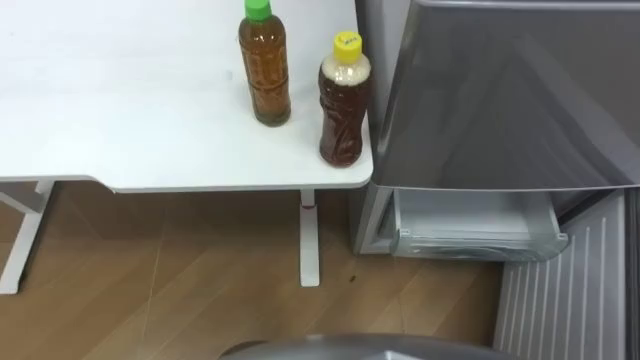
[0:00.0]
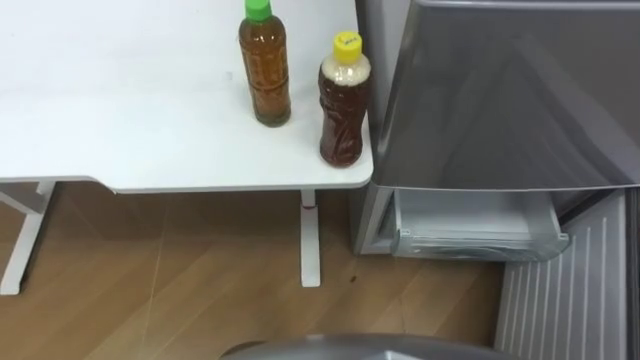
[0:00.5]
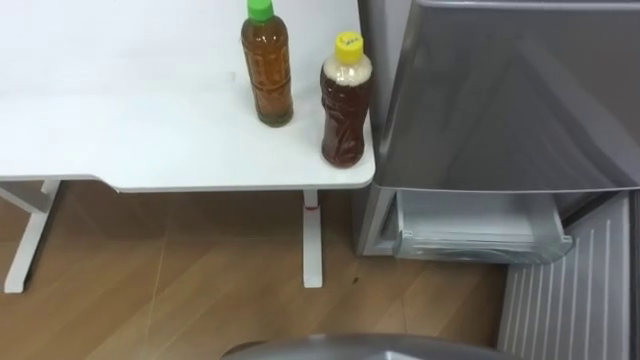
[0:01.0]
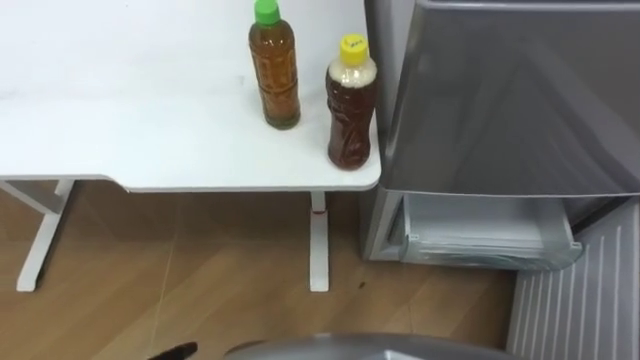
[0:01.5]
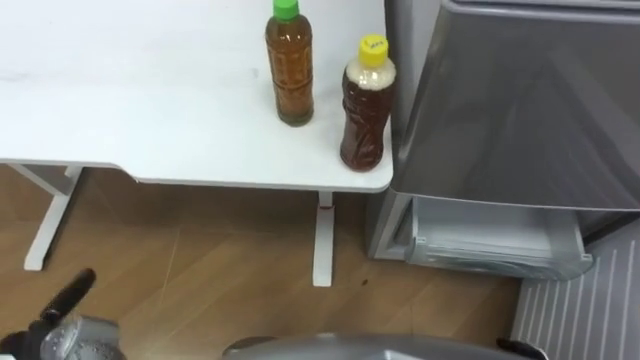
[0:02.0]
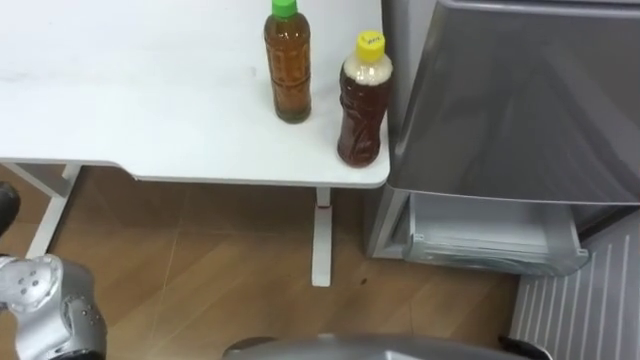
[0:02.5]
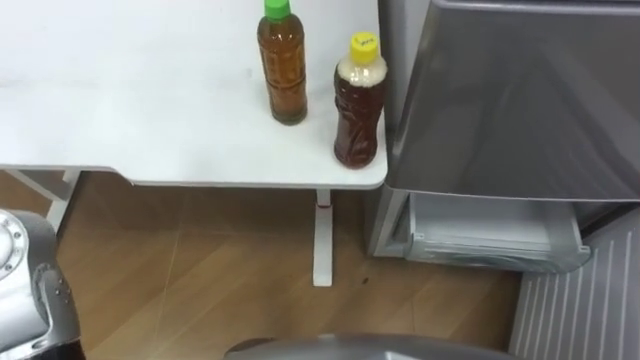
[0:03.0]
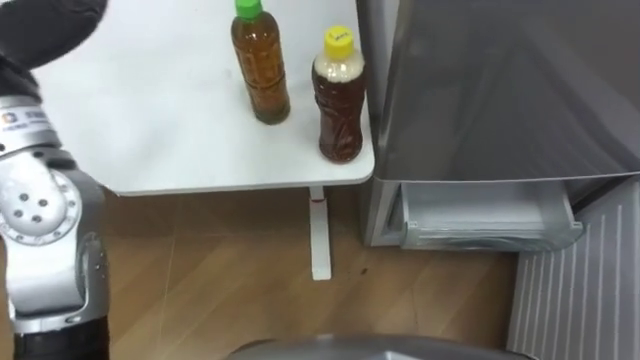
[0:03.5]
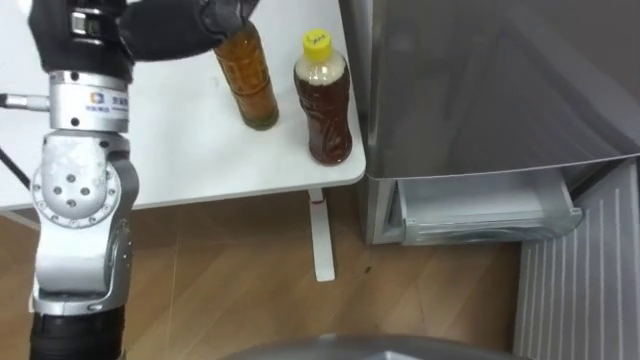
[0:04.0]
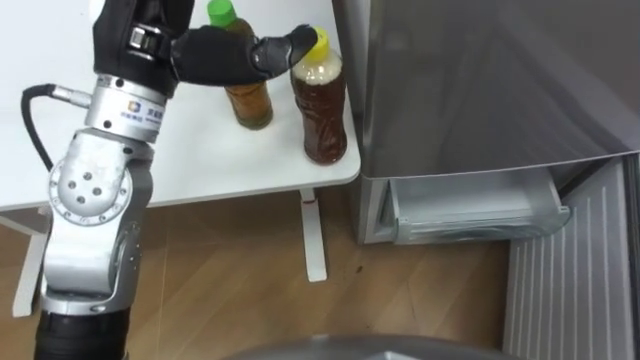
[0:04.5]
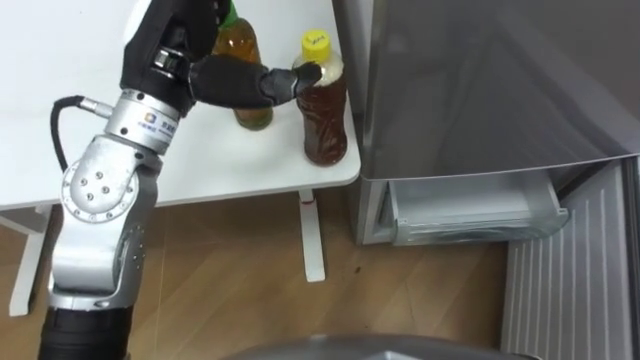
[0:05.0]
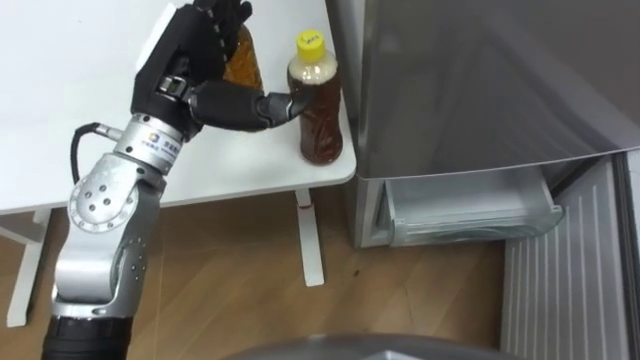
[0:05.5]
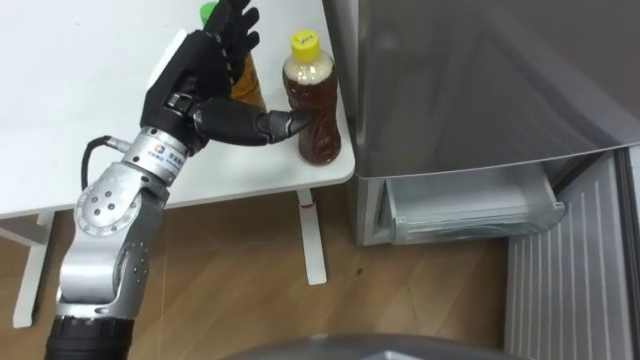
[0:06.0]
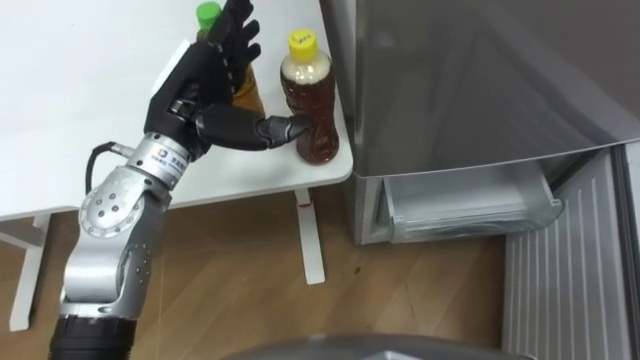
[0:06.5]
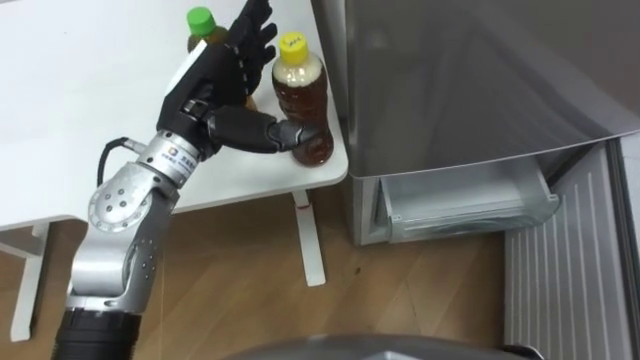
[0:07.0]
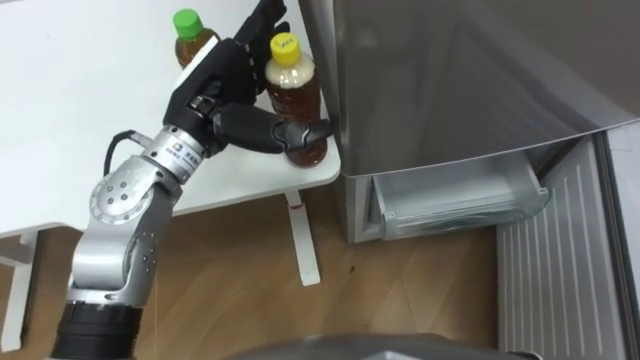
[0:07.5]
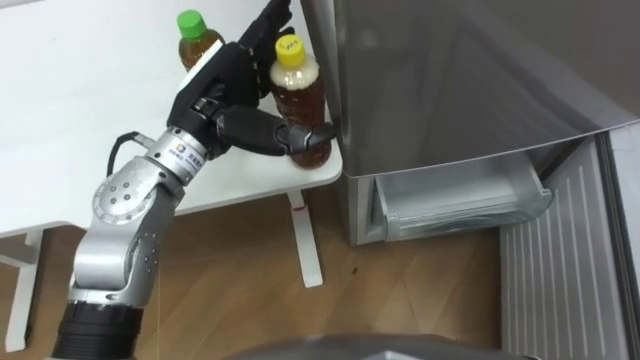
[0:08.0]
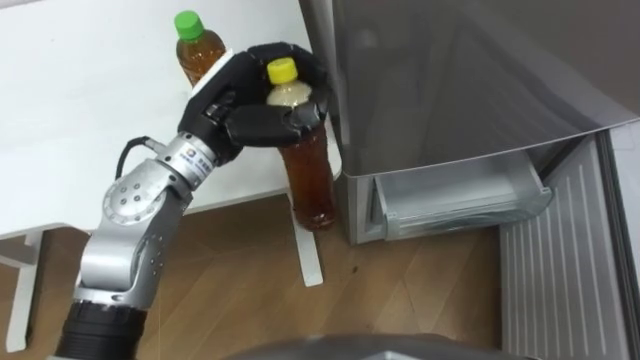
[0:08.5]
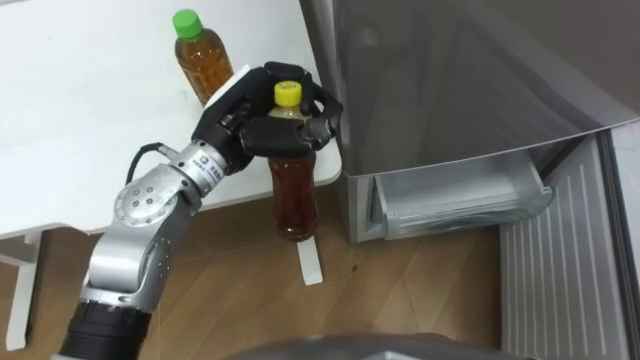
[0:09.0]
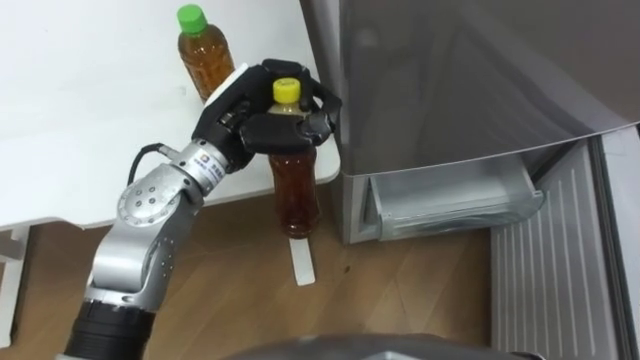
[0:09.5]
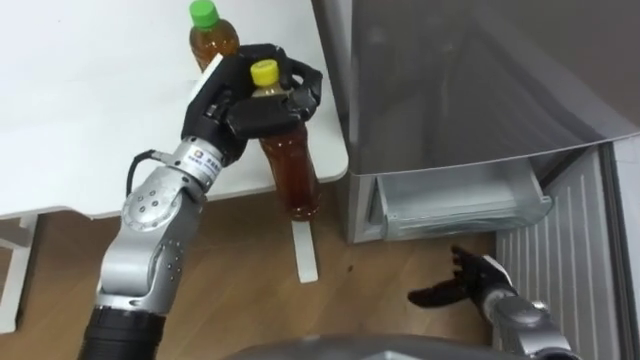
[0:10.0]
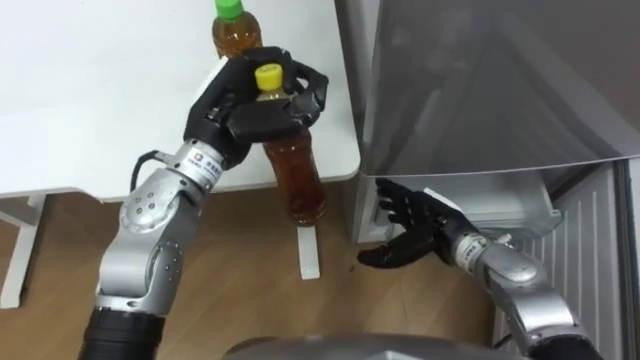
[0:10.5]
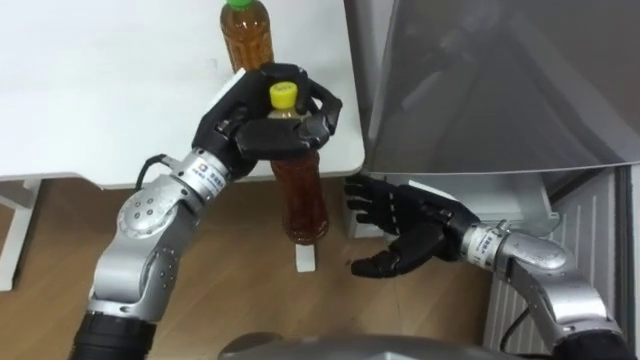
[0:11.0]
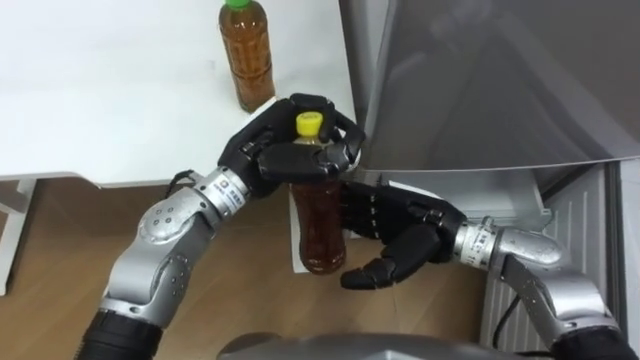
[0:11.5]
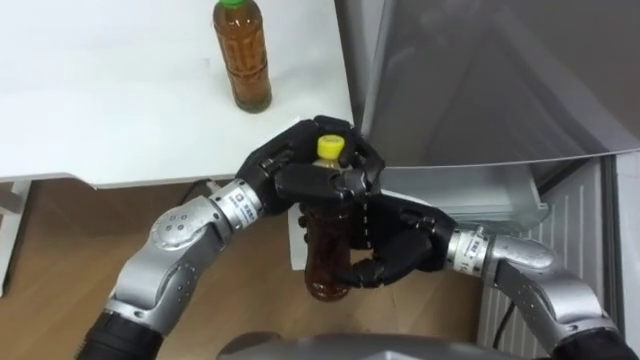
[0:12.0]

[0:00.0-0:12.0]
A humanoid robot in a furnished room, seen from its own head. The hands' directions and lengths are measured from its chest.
Task of the whole recording: Place the drink on the table on the bottom shelf of the refrigerator, then close the drawer and the refrigerator door.
4.0 to 6.0 s: The left hand shifts approximately 10 cm downward.
8.0 to 10.0 s: The left hand closes up.
10.0 to 12.0 s: The left hand goes some 5 cm to the right. The right hand goes roughly 20 cm upward and to the left.

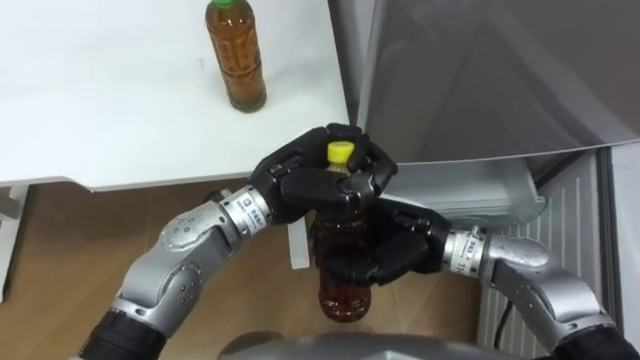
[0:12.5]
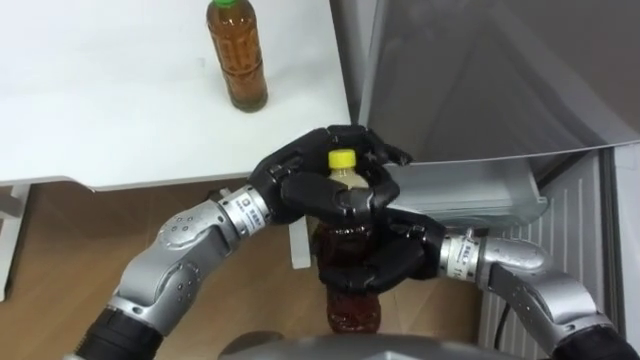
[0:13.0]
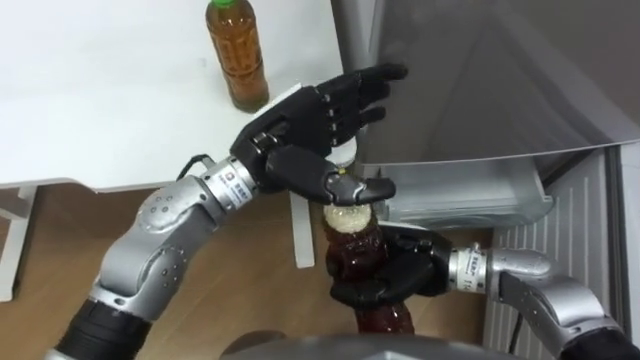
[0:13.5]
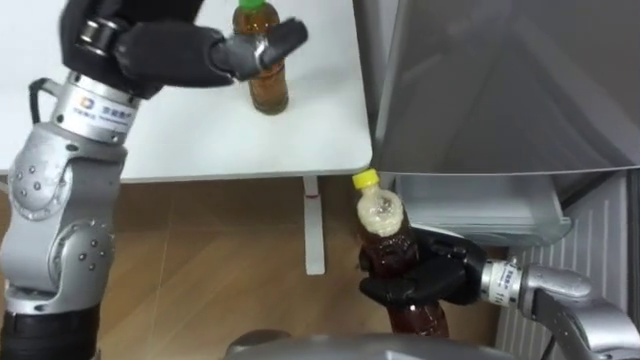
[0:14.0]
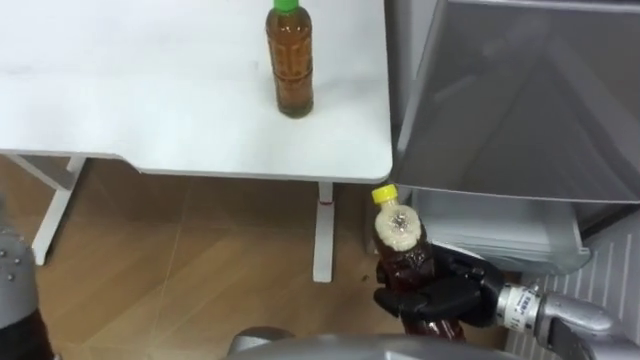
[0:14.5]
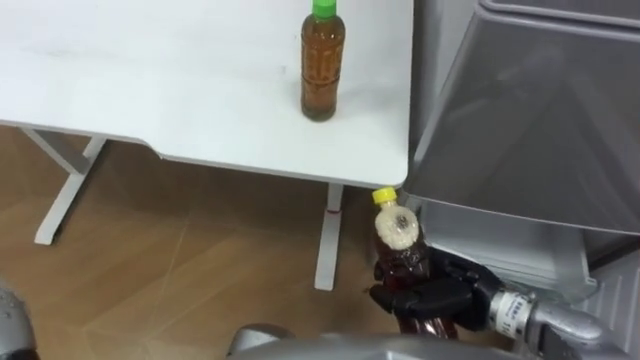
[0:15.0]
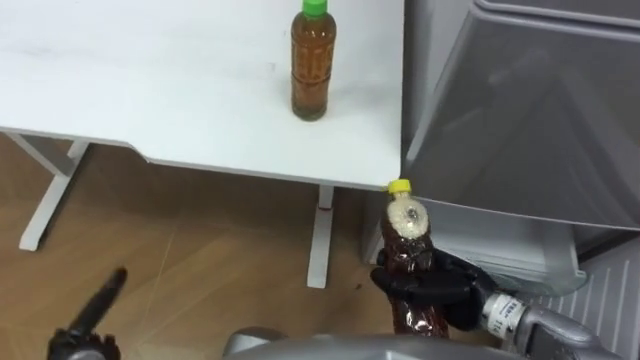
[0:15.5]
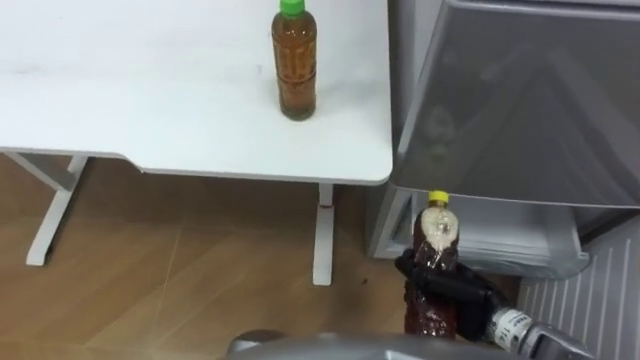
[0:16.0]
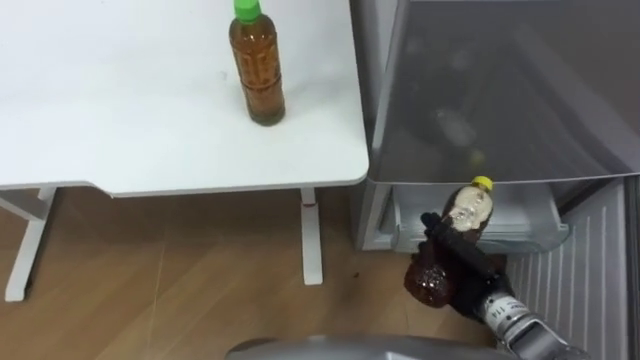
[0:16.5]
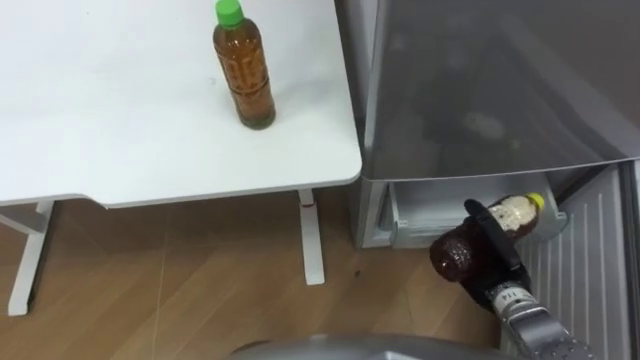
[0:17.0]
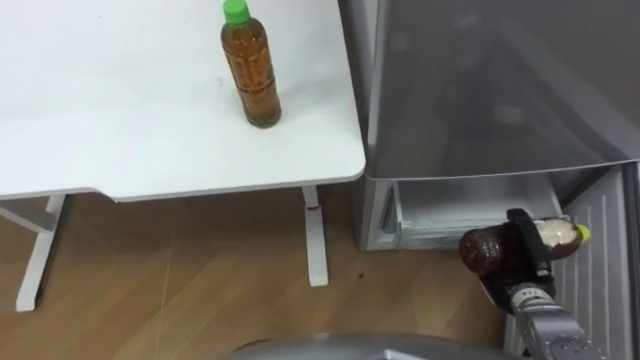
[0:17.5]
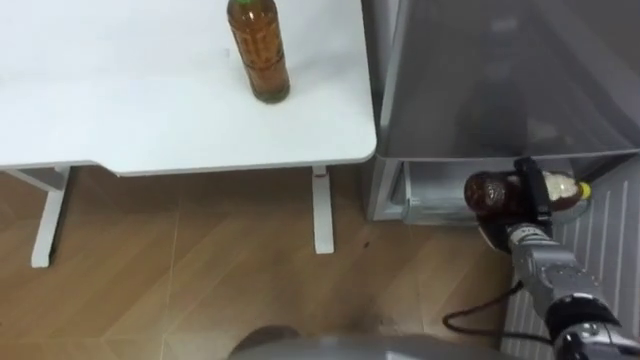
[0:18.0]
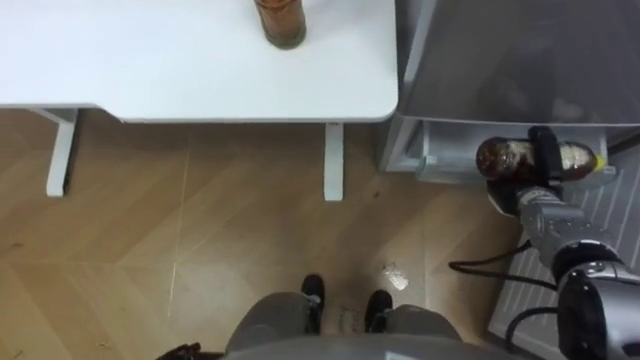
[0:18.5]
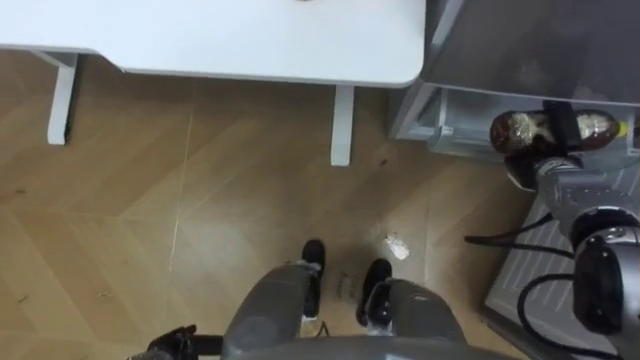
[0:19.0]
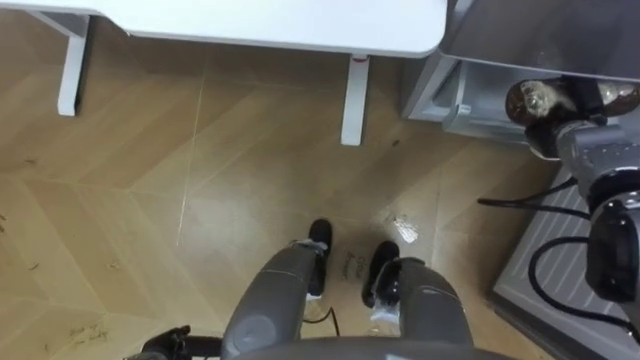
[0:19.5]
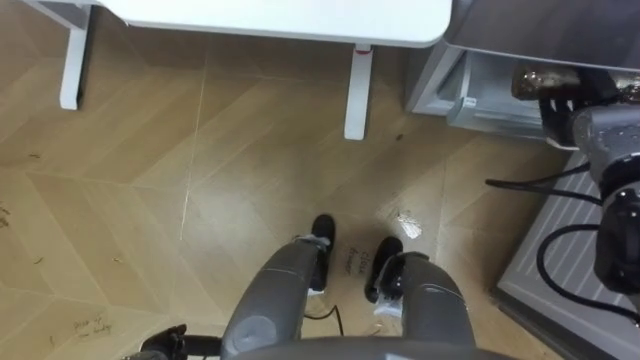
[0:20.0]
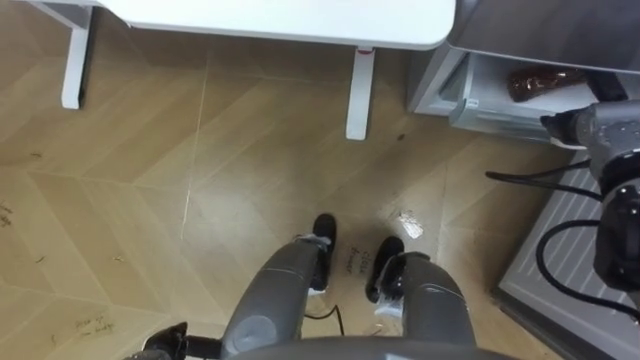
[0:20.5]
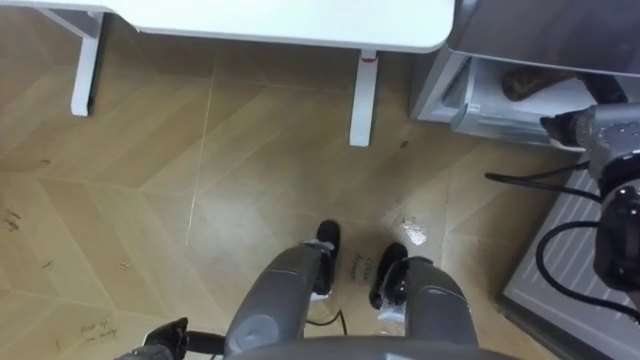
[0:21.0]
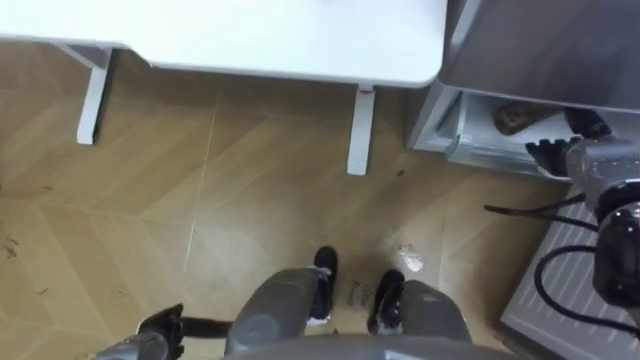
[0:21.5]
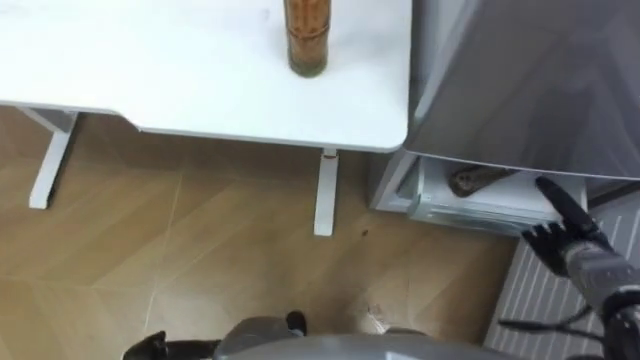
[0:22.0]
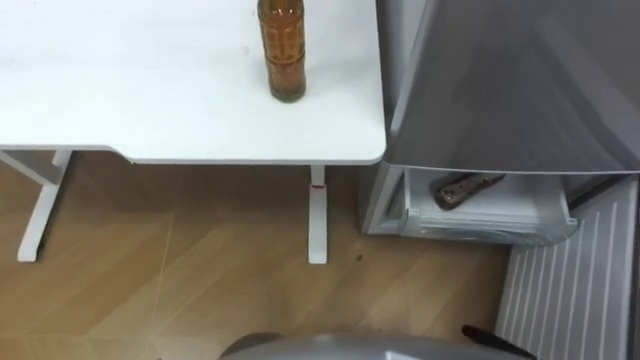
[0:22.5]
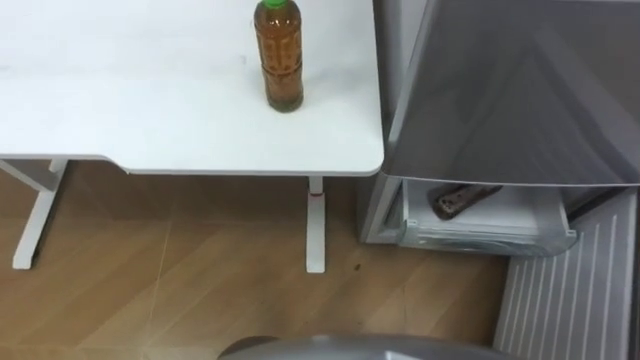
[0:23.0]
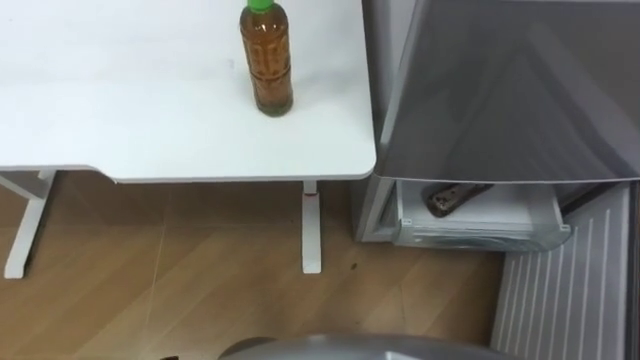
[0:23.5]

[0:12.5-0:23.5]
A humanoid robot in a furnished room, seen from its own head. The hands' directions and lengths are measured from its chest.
Task of the whole recording: Place the drink on the table on the bottom shelf of the refrigerator, then close the drawer and the refrigerator door.
12.5 to 14.5 s: The right hand goes some 10 cm to the right and backward.
14.5 to 16.0 s: The right hand is displaced downward by about 5 cm.
16.0 to 18.0 s: The right hand travels forward and to the right by about 15 cm.
18.0 to 20.0 s: The right hand shifts about 20 cm forward, upward and to the right, and opens.
20.0 to 21.5 s: The right hand opens its fingers.
